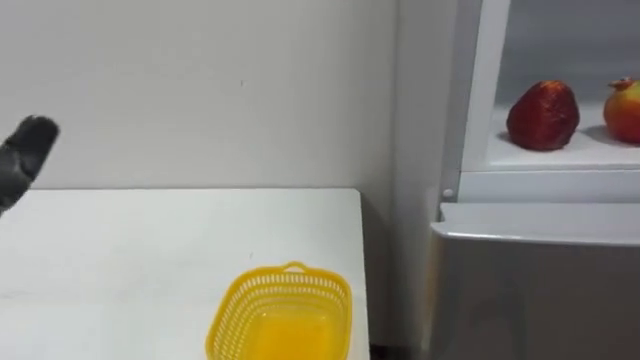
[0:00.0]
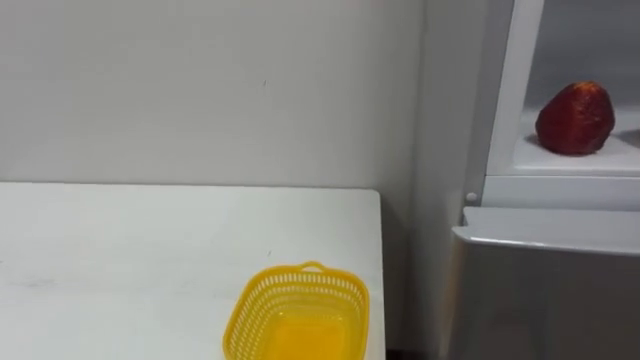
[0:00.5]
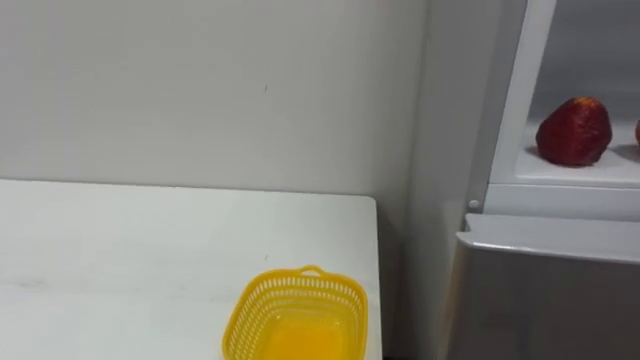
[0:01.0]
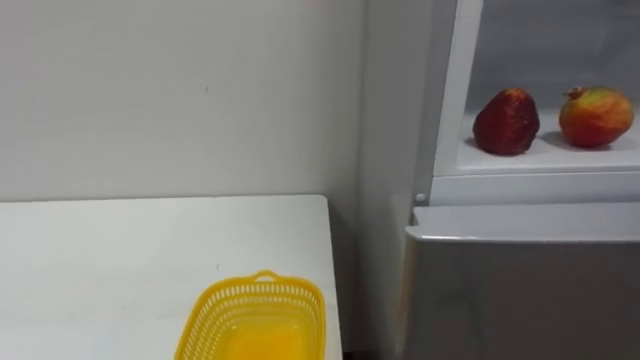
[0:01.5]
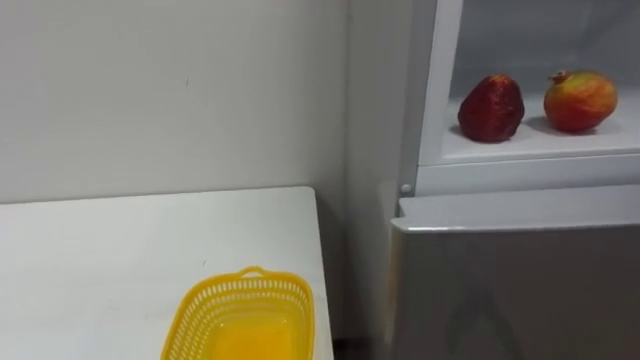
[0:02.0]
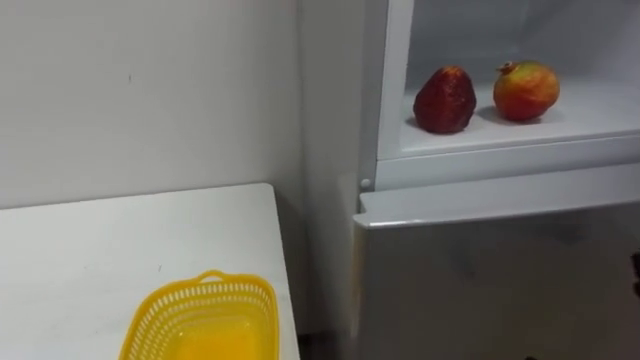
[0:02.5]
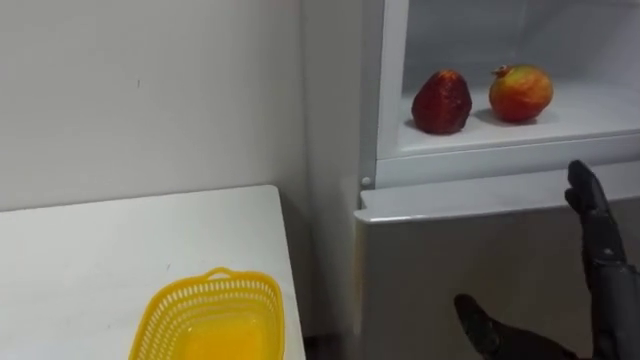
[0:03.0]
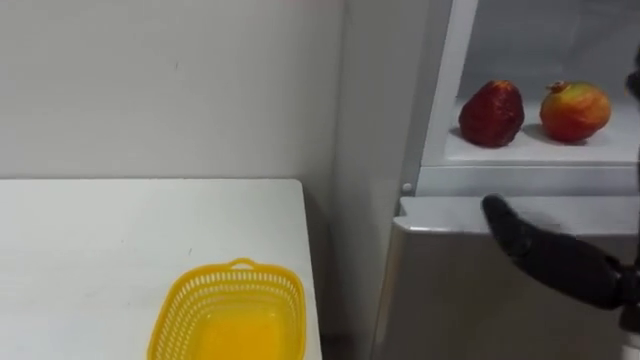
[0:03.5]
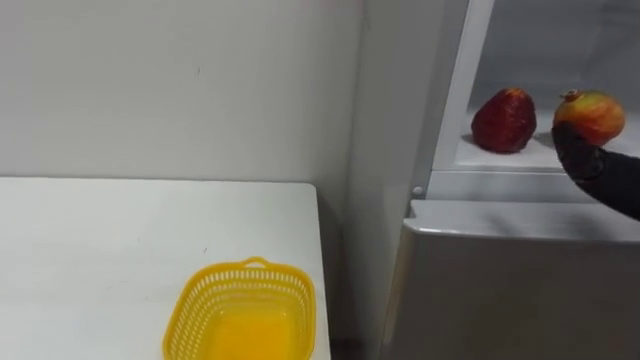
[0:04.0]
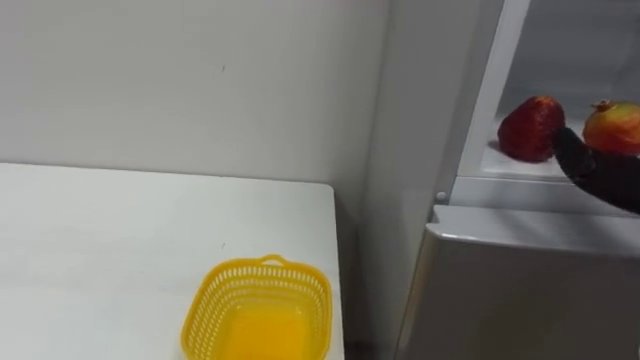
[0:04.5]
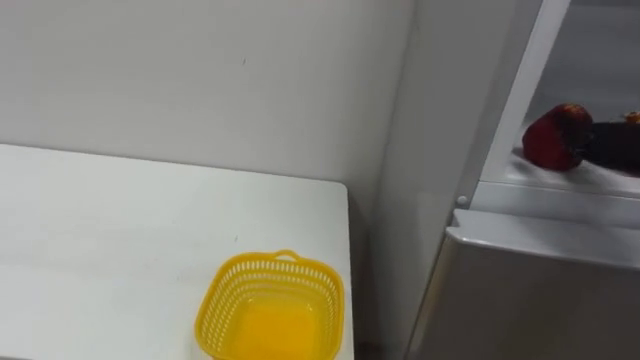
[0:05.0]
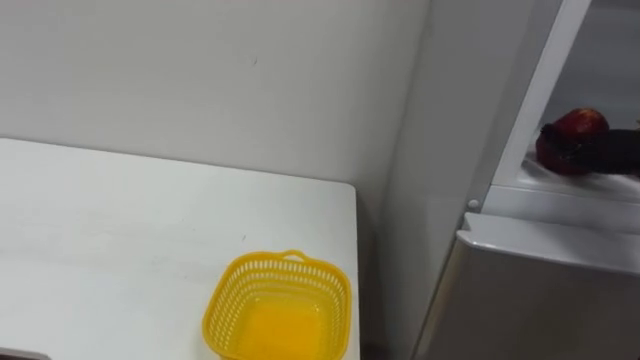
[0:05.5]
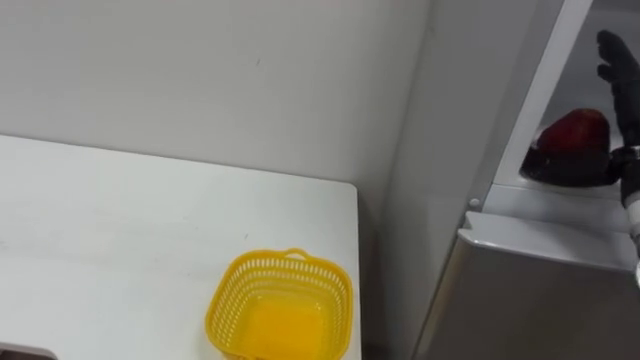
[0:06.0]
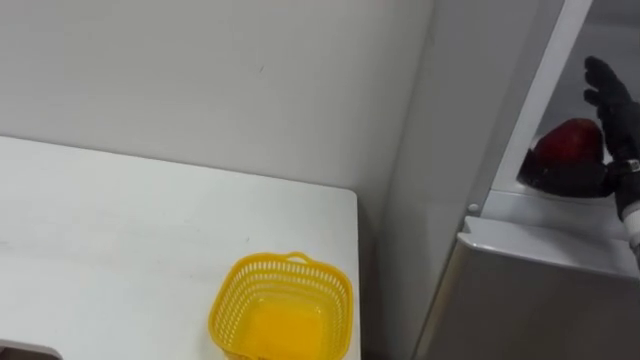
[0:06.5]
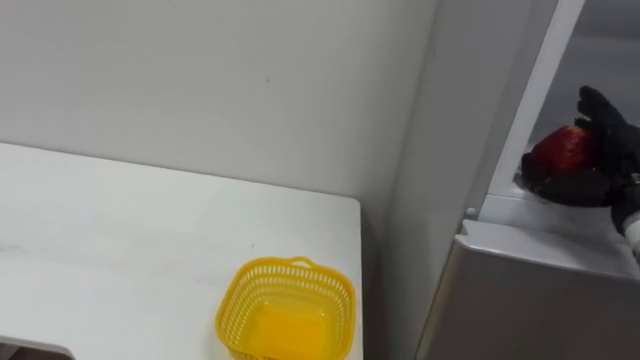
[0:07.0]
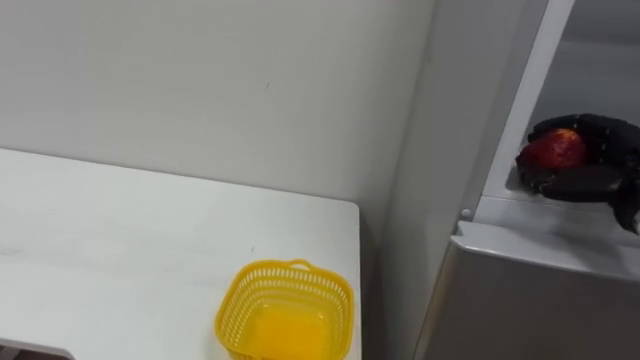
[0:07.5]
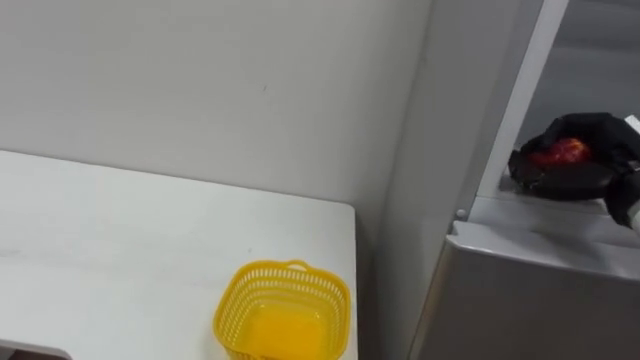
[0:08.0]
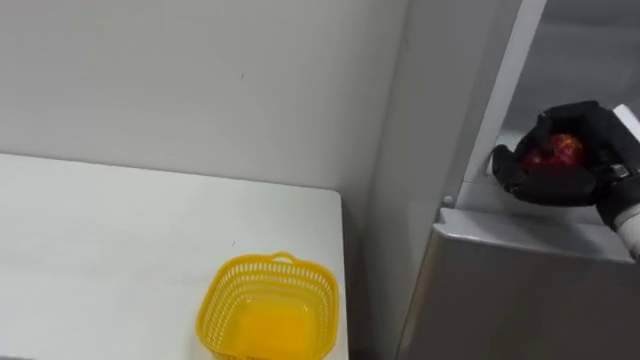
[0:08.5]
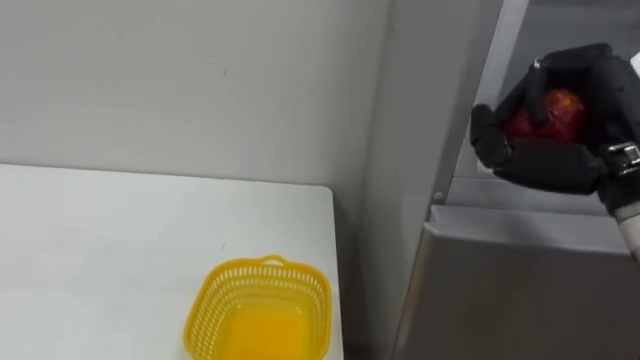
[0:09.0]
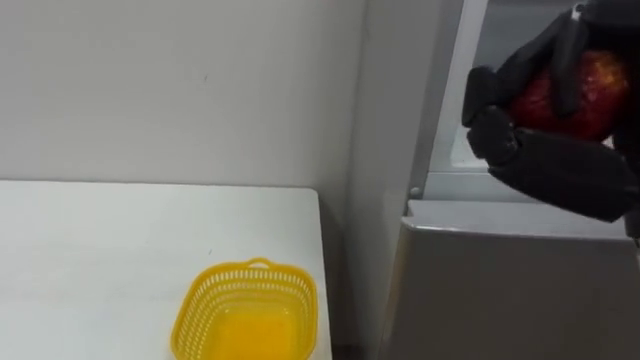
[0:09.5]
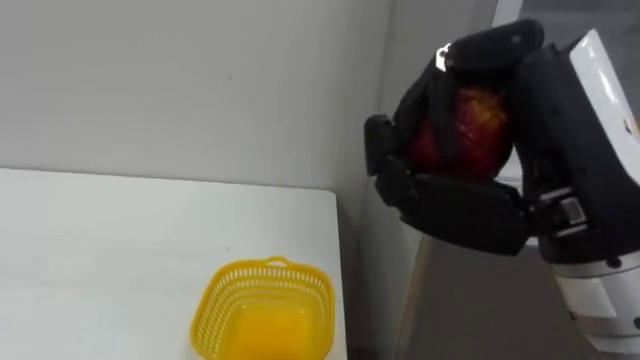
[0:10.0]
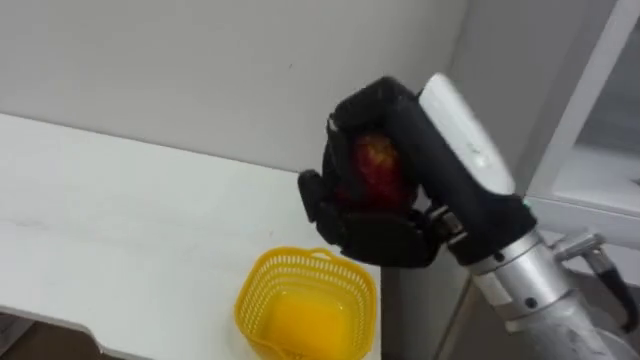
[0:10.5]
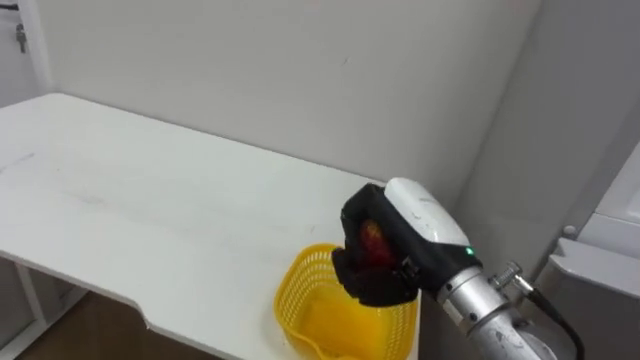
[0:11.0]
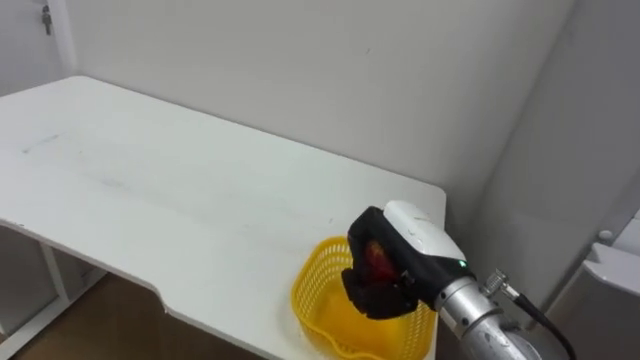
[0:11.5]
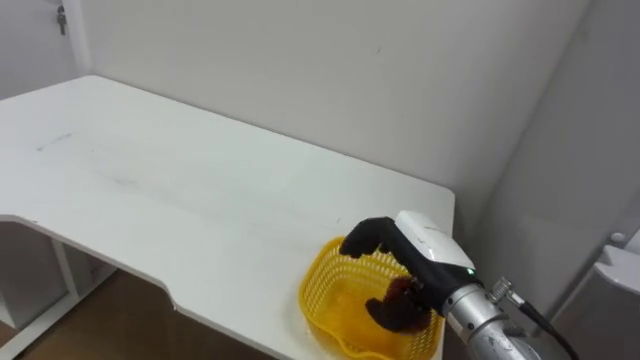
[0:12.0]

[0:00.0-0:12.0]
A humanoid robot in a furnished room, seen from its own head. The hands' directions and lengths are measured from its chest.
Task of the whole recording: Open the refrigerator door, take out the apple and the pomegranate, place them in the fruit basket on the left, and close the refrigerator door.
0:06.0 to 0:08.0: The right hand changes place by some 5 cm, and closes up.
0:08.0 to 0:10.0: The right hand moves to the left, backward and upward, some 25 cm.
0:10.0 to 0:12.0: The right hand is displaced downward and forward by approximately 25 cm.

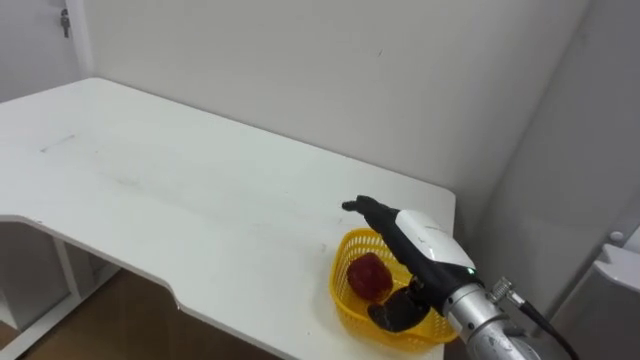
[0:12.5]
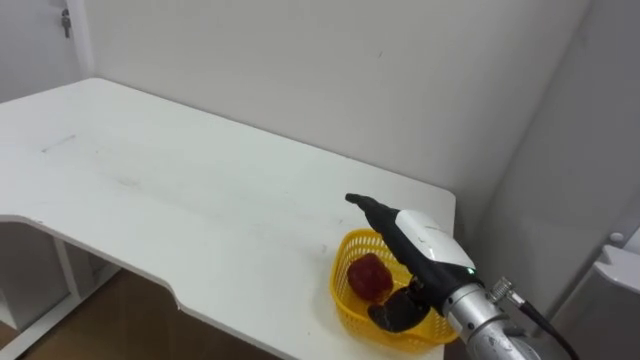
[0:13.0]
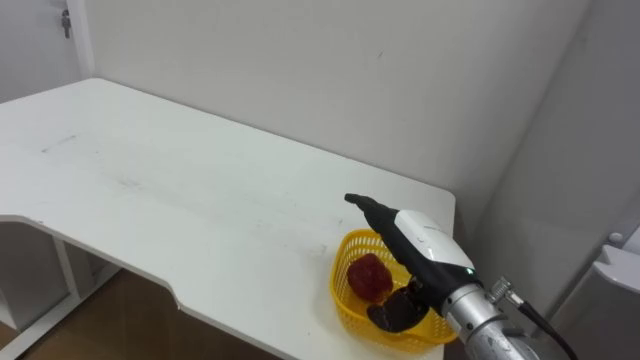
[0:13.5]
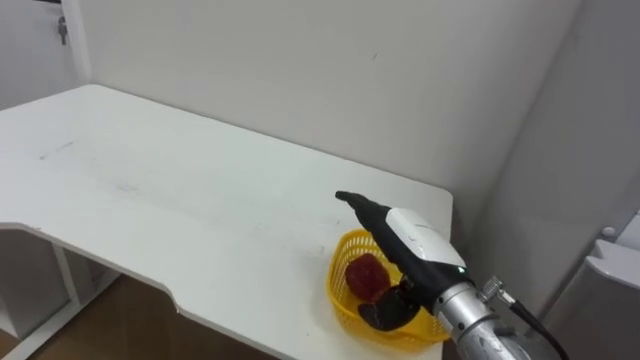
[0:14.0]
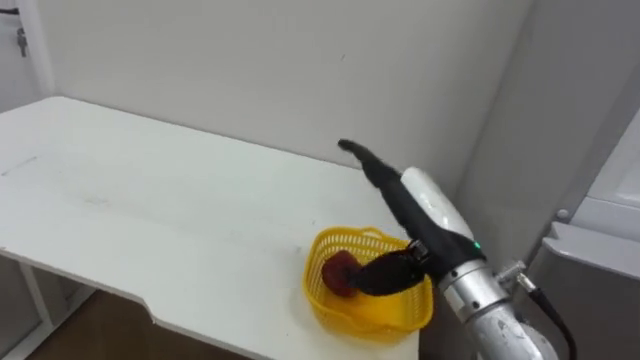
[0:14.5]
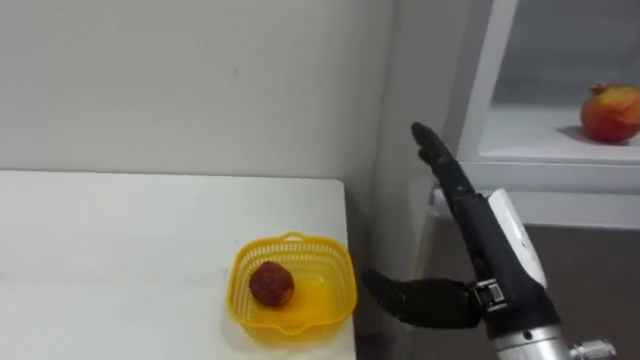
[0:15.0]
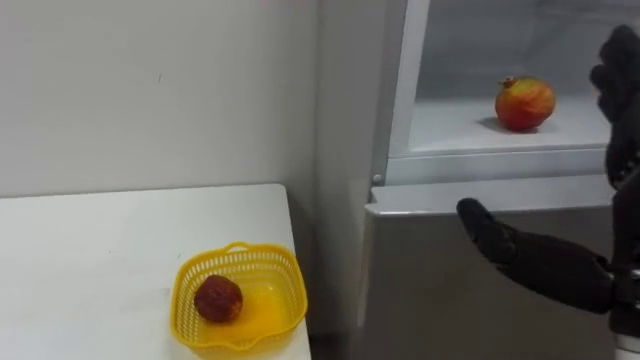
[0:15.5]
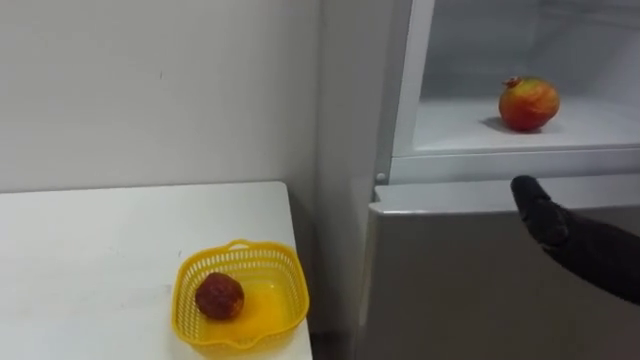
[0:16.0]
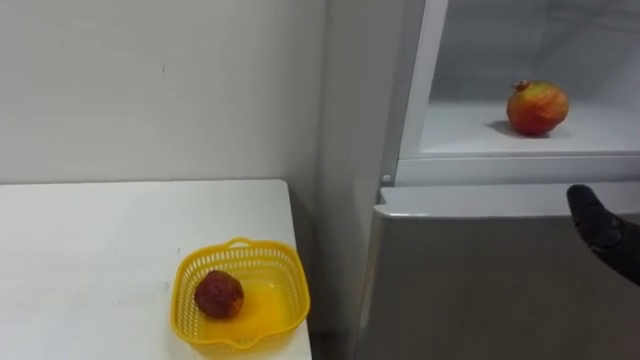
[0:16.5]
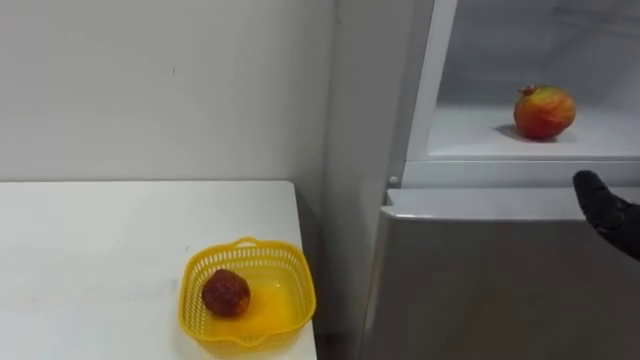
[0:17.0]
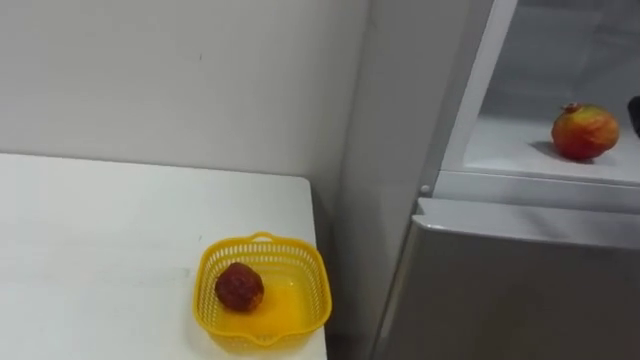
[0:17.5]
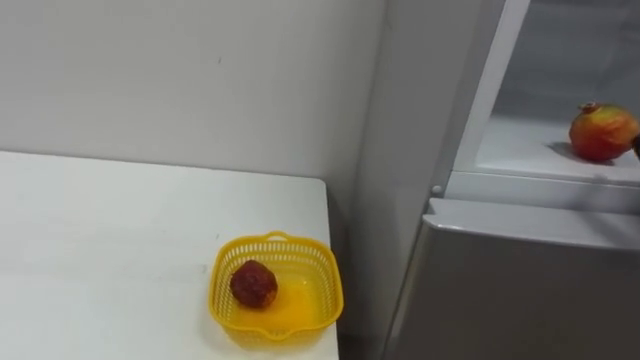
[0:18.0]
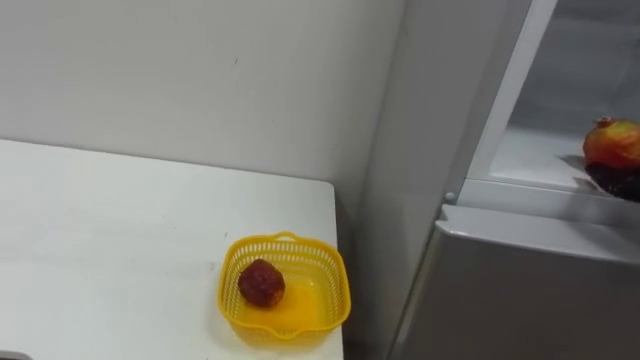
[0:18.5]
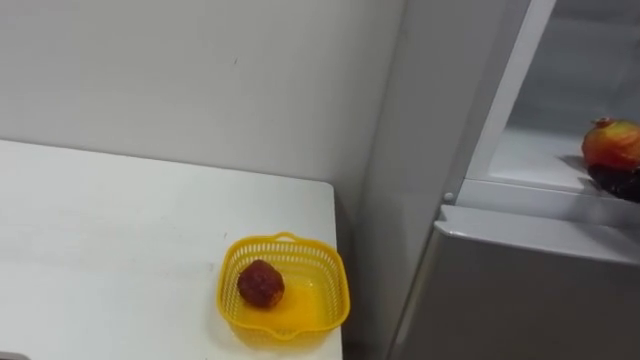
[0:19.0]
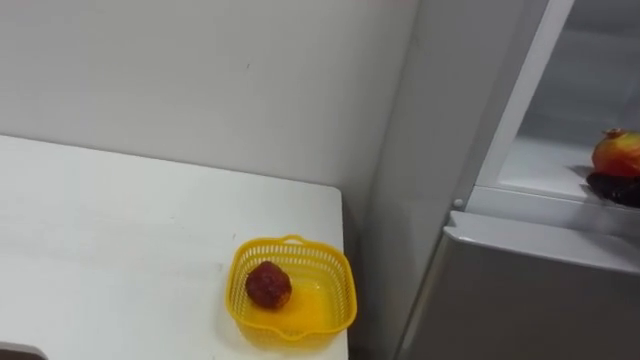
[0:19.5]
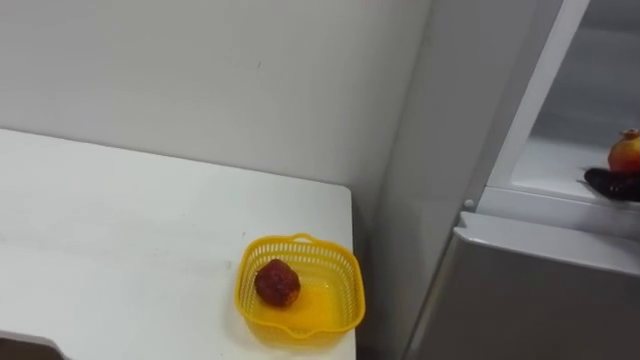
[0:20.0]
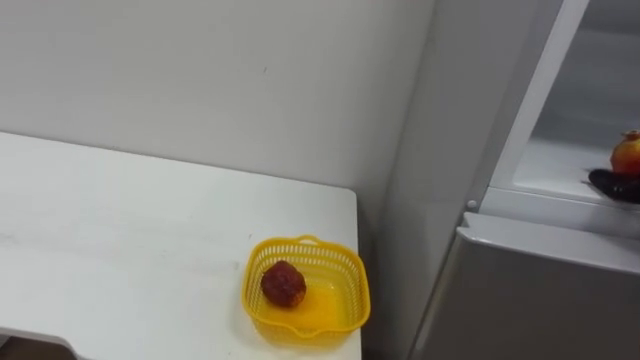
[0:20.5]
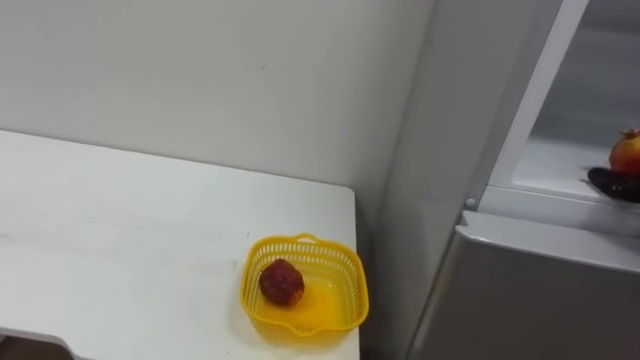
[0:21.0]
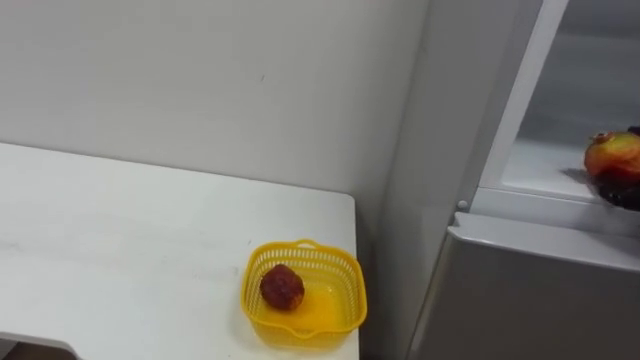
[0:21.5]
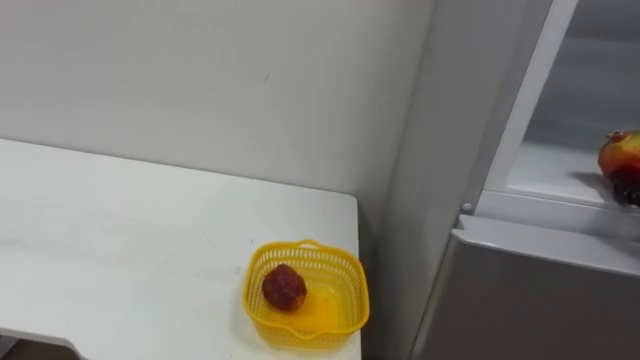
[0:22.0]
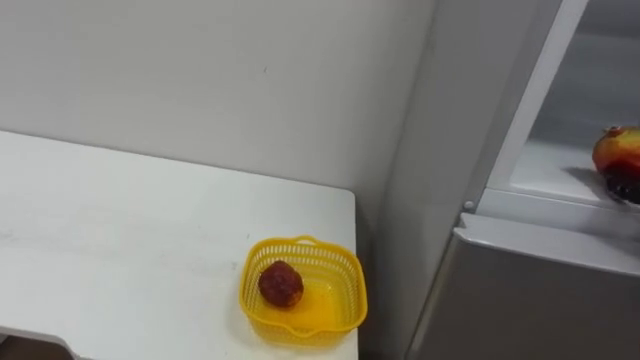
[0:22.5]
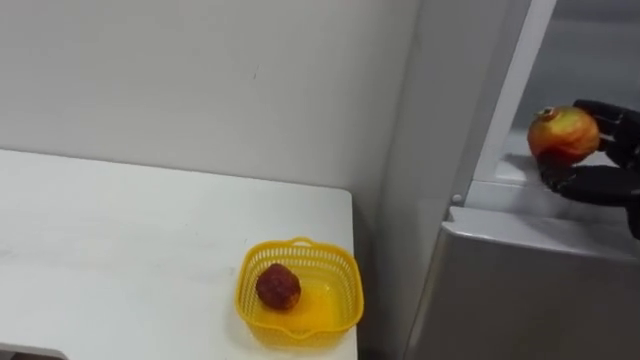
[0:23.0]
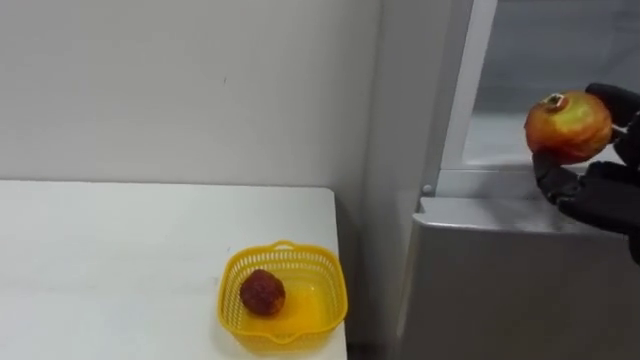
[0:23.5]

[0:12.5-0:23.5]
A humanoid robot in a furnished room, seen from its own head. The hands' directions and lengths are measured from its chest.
Task of the whole recording: Open the refrigerator door, take out the apple and the pomegranate, place them in the fruit basket on the left, and close the refrigerator door.
0:12.5 to 0:14.5: The right hand ends up approximately 5 cm from where it was.
